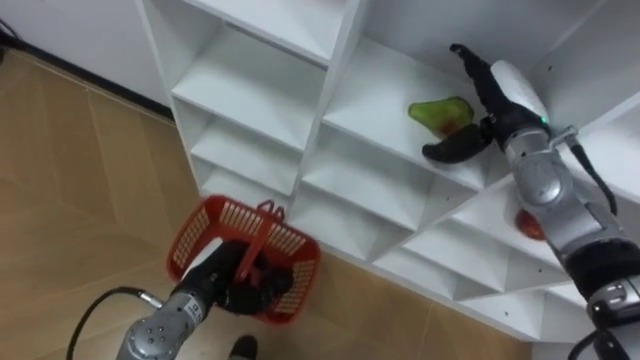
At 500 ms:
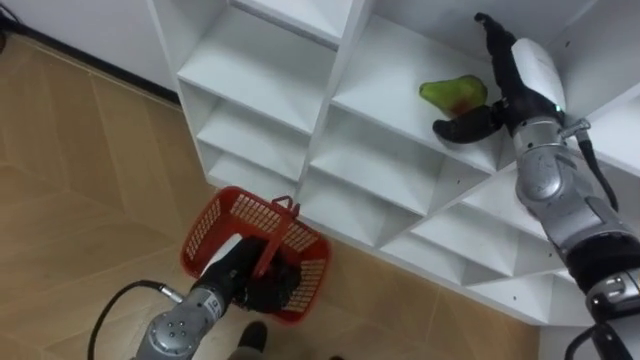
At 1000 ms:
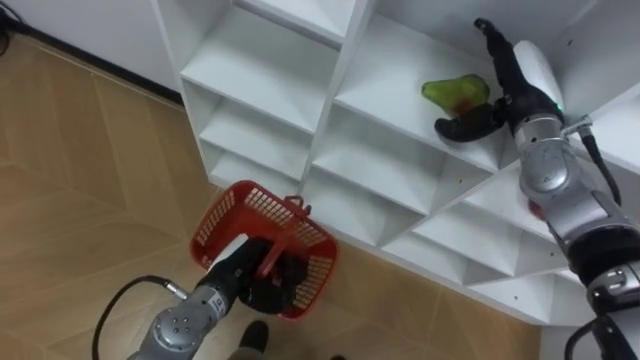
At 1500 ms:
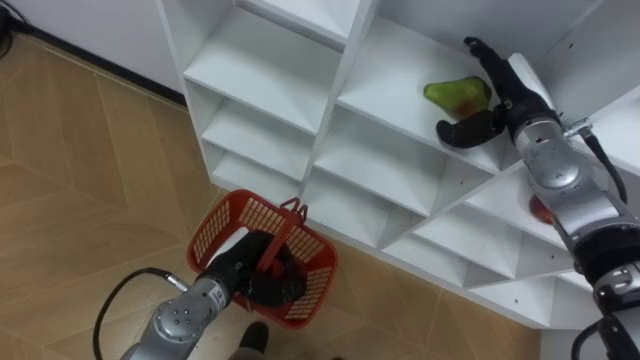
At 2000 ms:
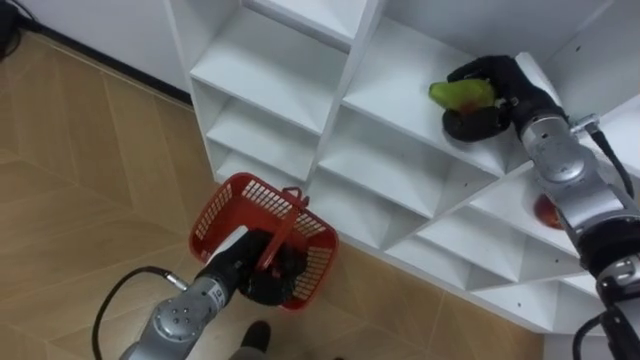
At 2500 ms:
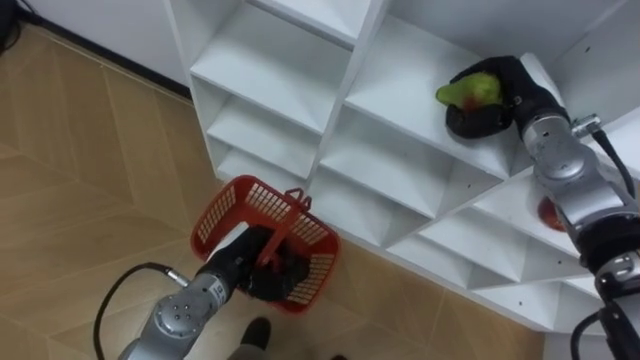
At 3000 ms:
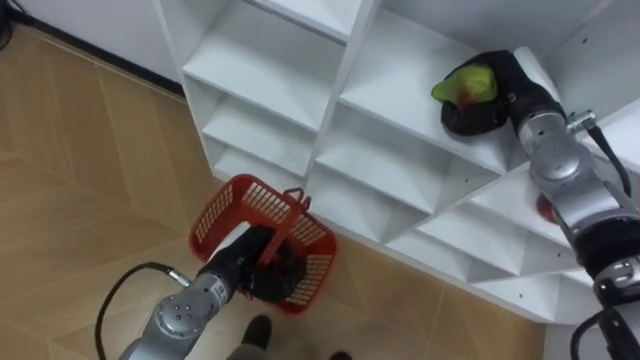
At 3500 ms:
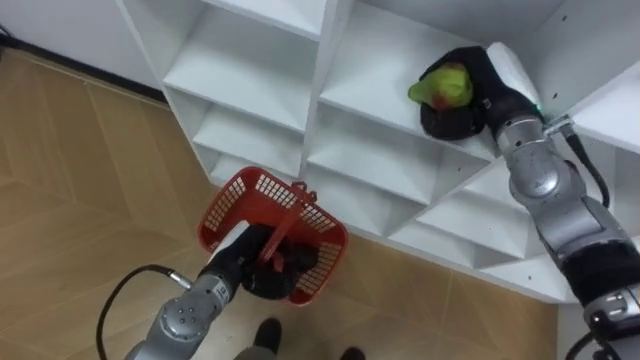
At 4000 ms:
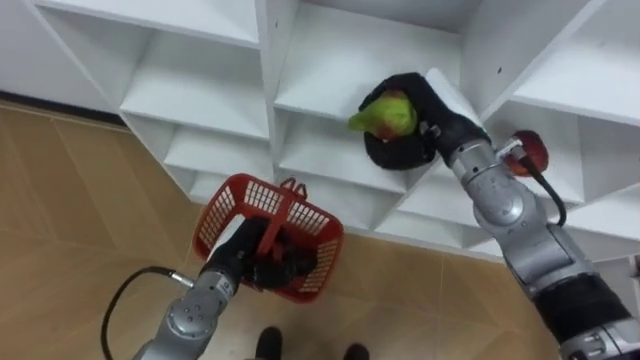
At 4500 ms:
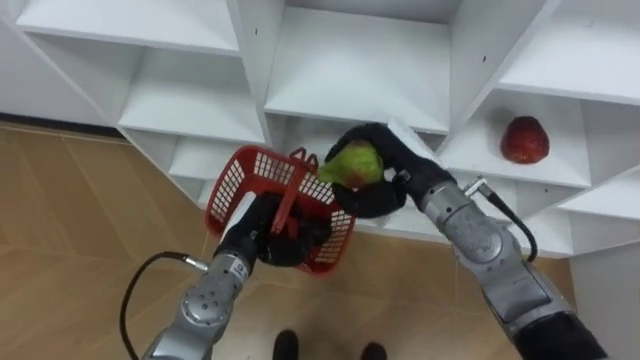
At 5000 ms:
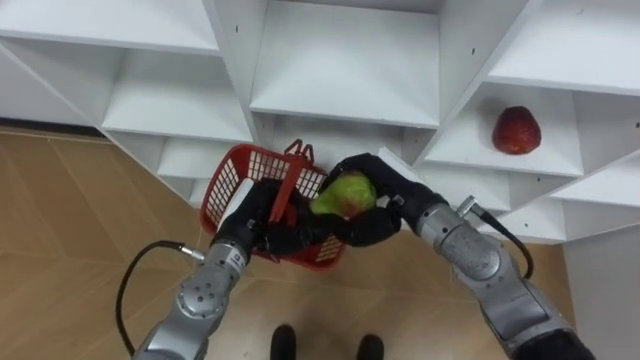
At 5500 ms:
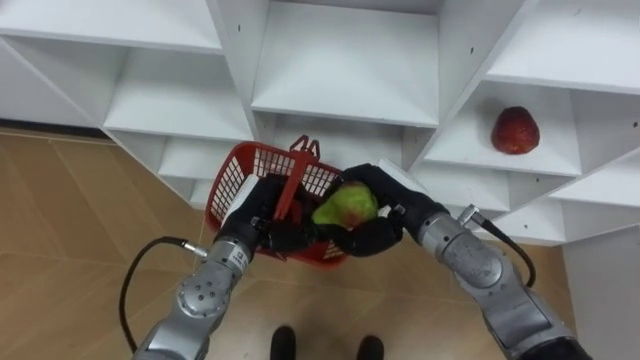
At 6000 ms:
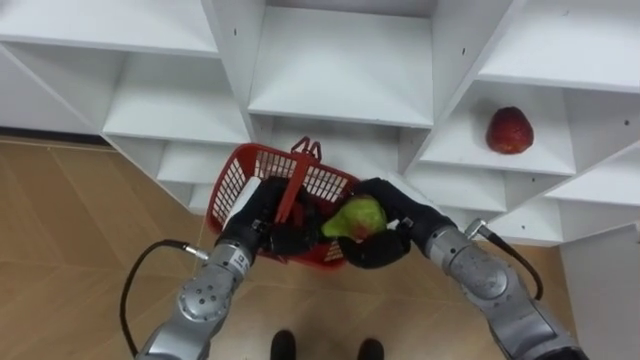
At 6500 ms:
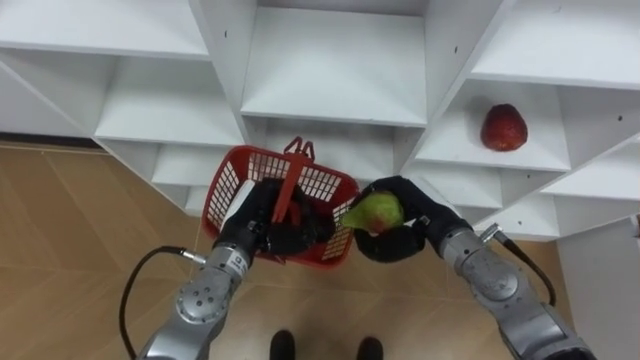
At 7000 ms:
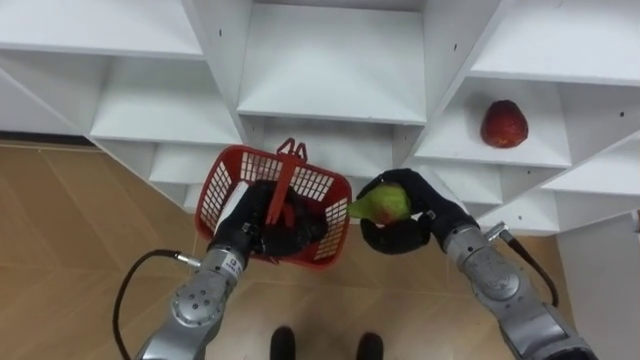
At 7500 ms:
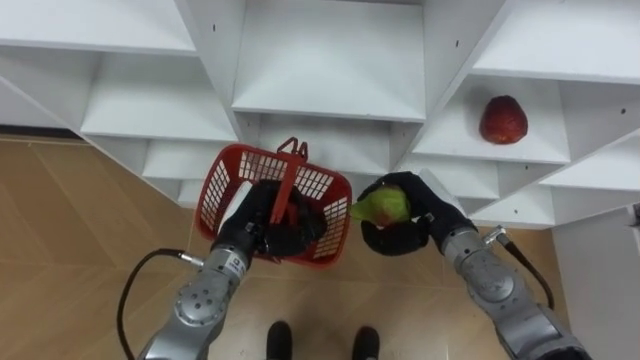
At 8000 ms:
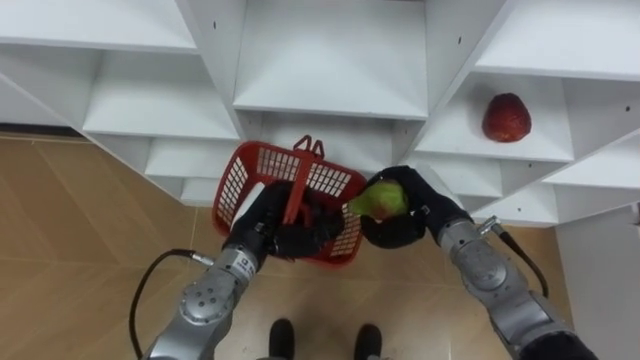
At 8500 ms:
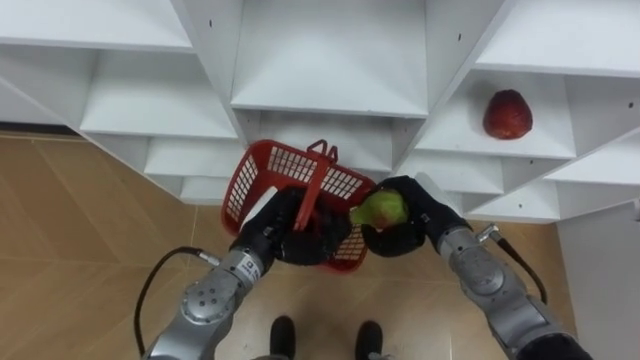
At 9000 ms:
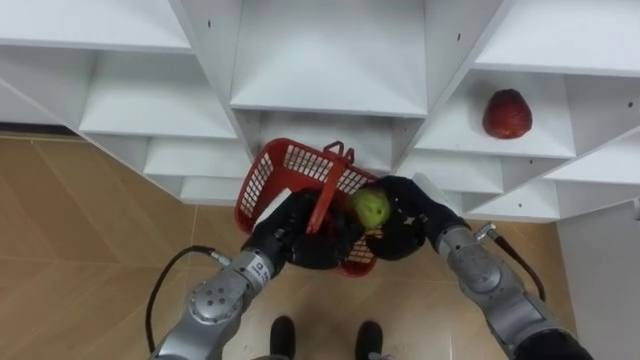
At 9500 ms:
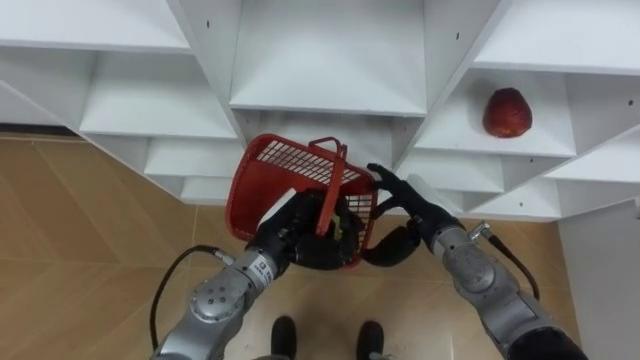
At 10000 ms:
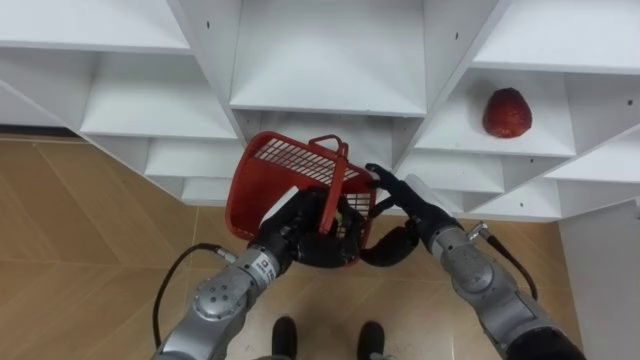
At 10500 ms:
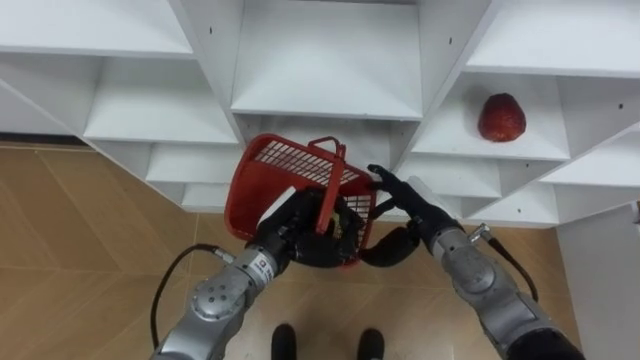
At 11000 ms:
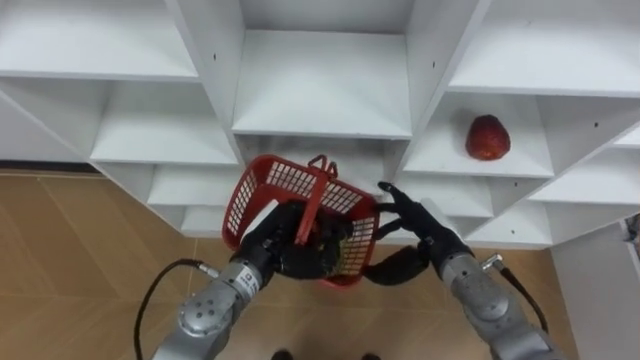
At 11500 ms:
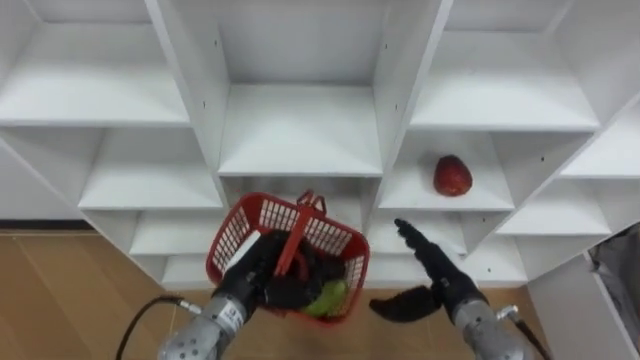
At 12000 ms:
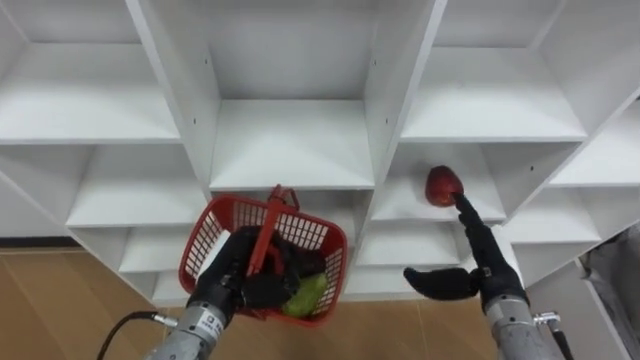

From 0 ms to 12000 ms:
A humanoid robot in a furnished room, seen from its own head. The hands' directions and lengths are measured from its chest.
Task of the whole recording: Hold the basket and collect the fruits from 3 different cells of the closet into it.
From 0 ms to 2000 ms: The right hand closes up.
From 2000 ms to 4000 ms: The right hand heads to the left, covering roughly 10 cm.
From 4000 ms to 6000 ms: The right hand is displaced downward and backward by about 10 cm. The left hand is displaced upward by about 5 cm.
From 8000 ms to 10000 ms: The right hand opens its fingers.
From 10000 ms to 12000 ms: The left hand goes approximately 10 cm to the left and backward, while the right hand is displaced to the right and backward by roughly 10 cm.

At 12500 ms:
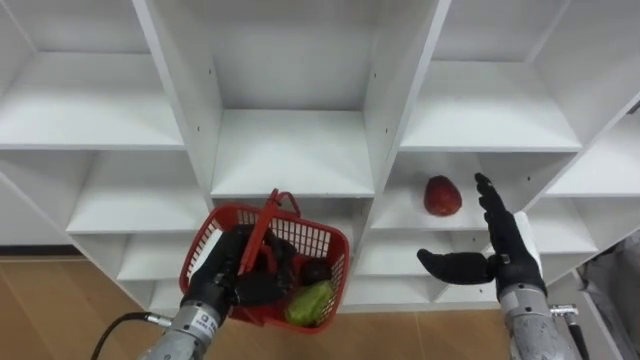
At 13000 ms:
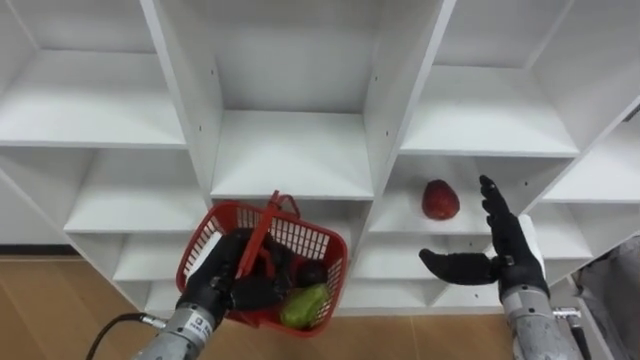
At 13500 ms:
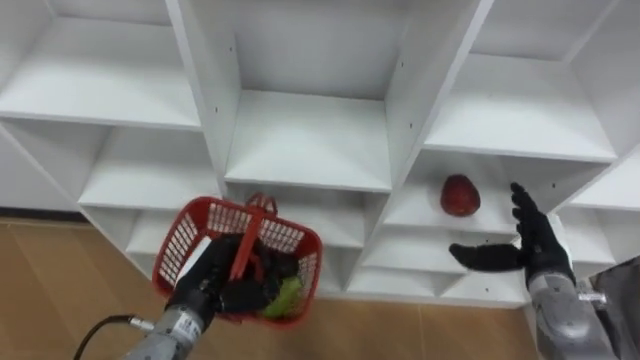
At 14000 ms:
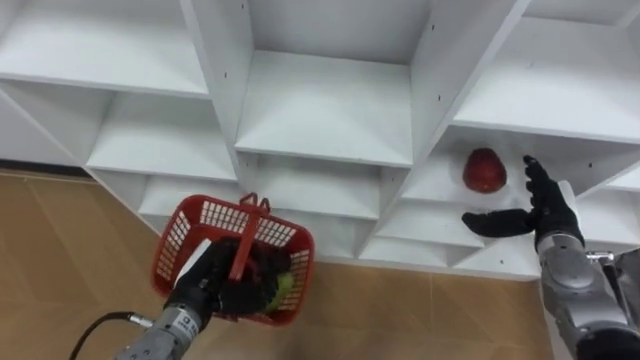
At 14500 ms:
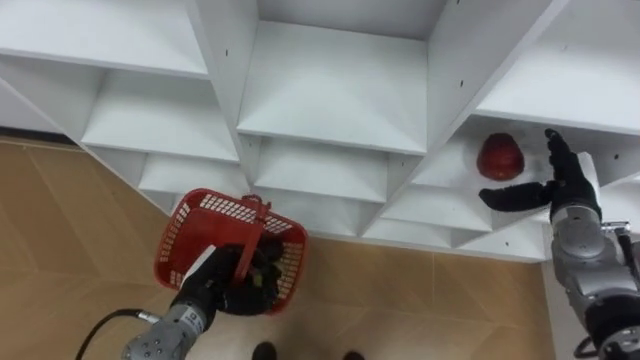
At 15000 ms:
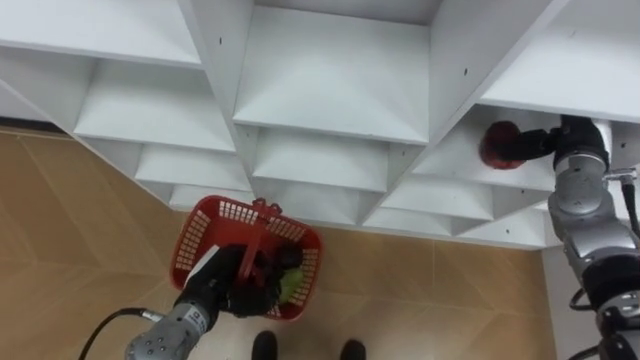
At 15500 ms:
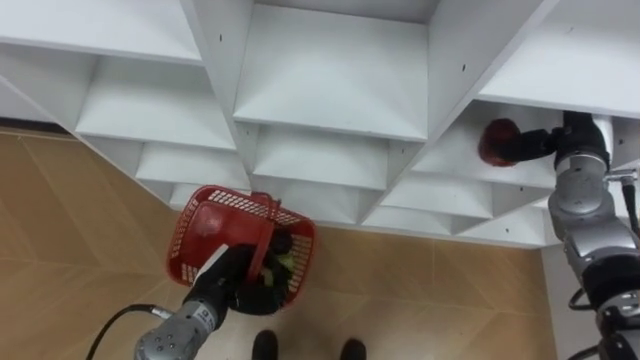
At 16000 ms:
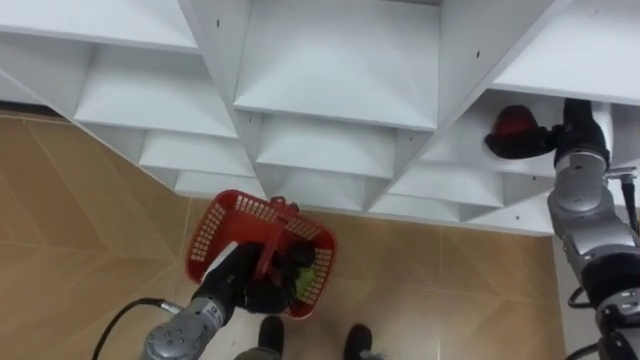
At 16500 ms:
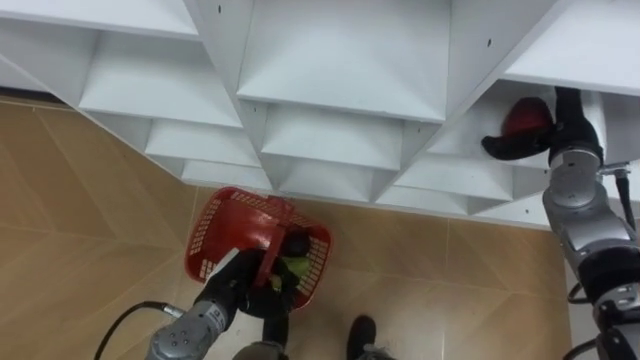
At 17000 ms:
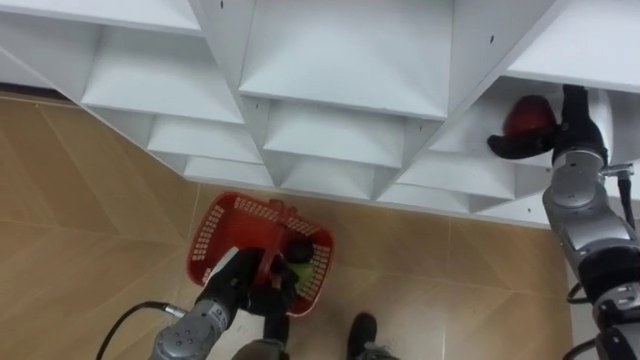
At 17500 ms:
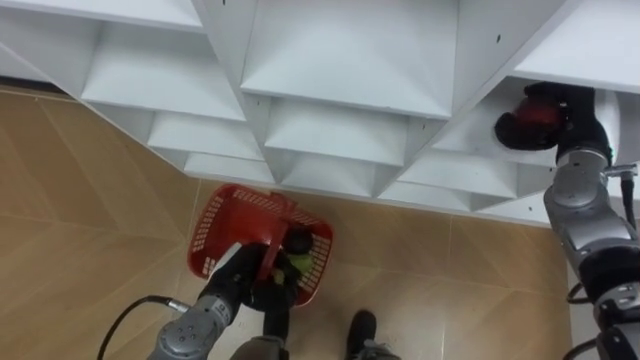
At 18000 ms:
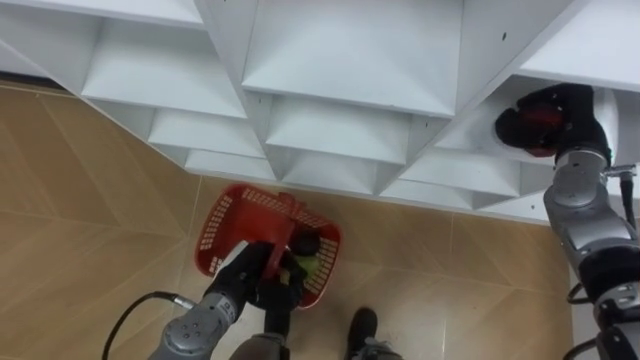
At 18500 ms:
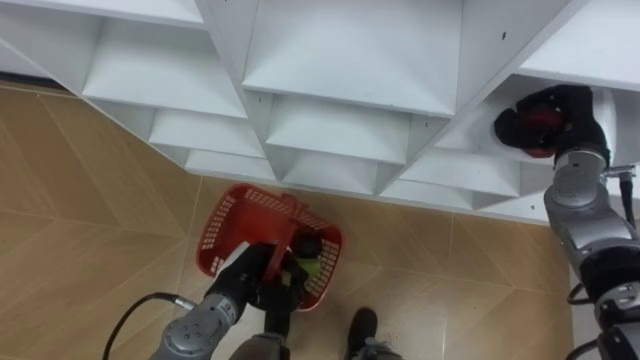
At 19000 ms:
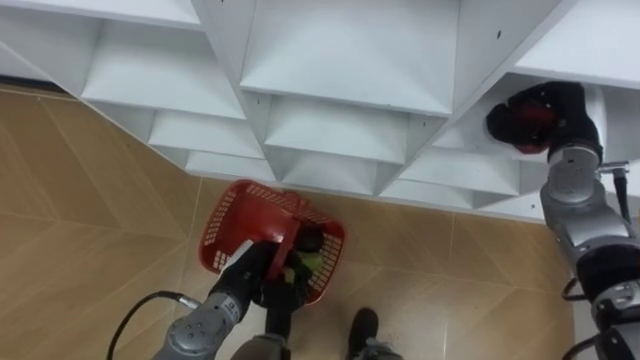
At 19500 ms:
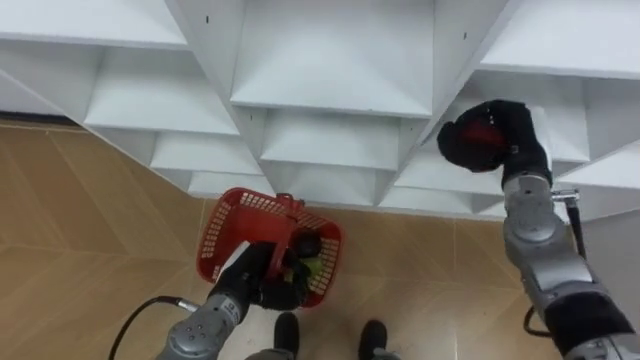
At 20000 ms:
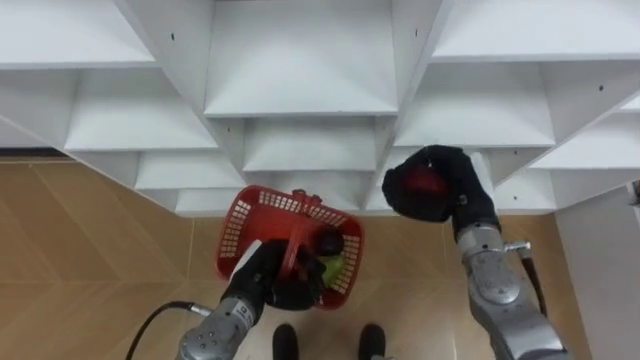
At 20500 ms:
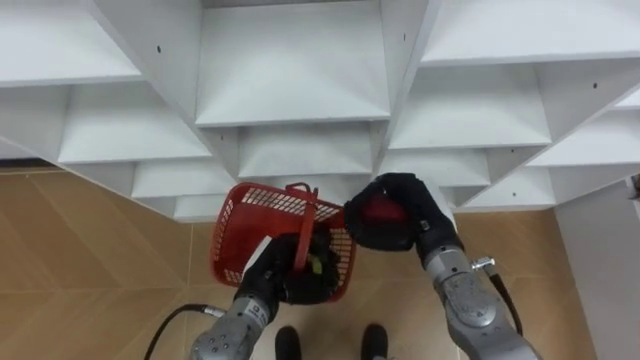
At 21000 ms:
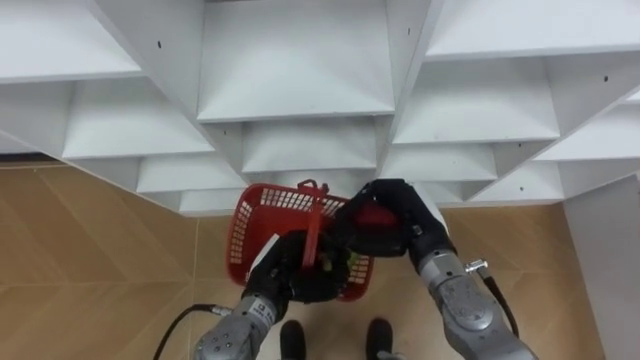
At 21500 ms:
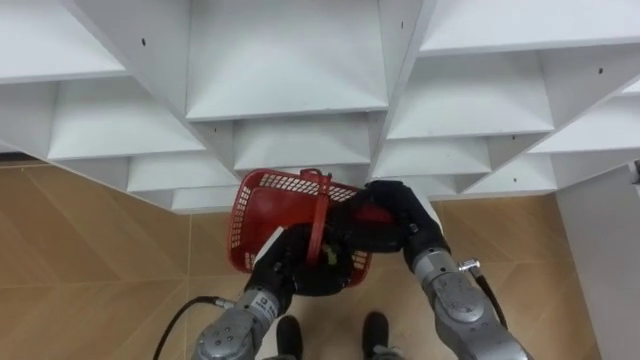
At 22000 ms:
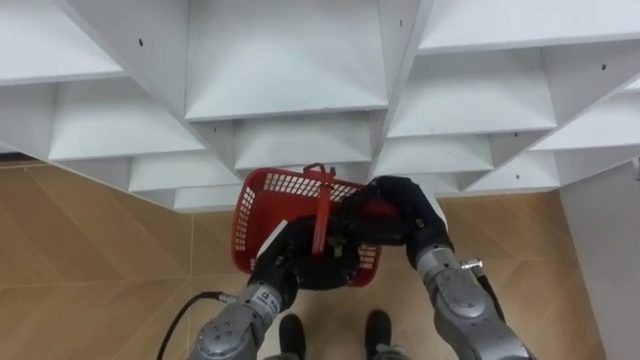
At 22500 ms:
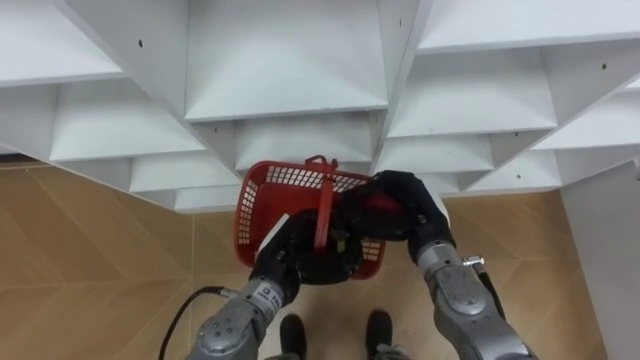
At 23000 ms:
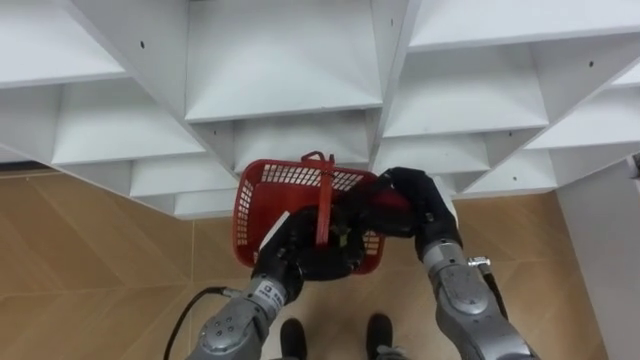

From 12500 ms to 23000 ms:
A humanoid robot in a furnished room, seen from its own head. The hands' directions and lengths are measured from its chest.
Task of the whole recording: Hold the basket and collect the fruits from 3 different cells of the closet into it.
From 12500 ms to 14500 ms: The right hand travels forward and to the right by about 10 cm.
From 14500 ms to 16500 ms: The right hand shifts some 5 cm upward.
From 16500 ms to 19000 ms: The right hand closes its fingers.
From 19000 ms to 21000 ms: The right hand shifts roughly 20 cm to the left and backward; the left hand changes place by roughly 5 cm.
